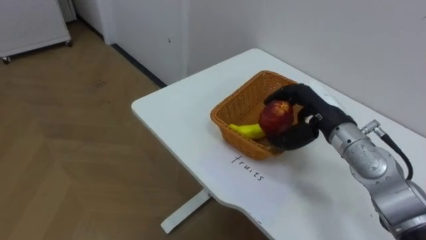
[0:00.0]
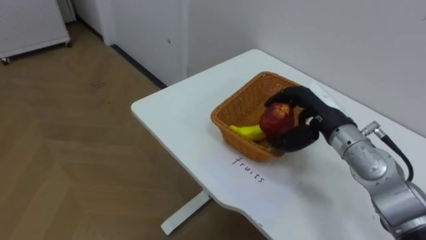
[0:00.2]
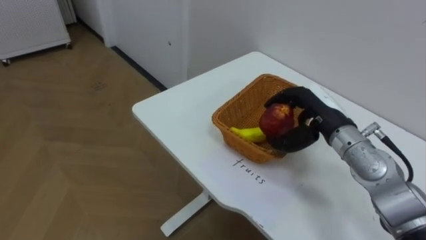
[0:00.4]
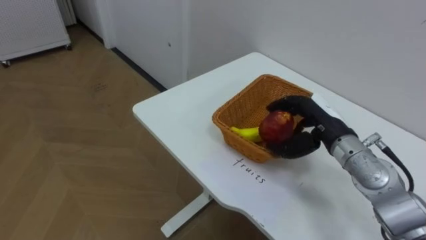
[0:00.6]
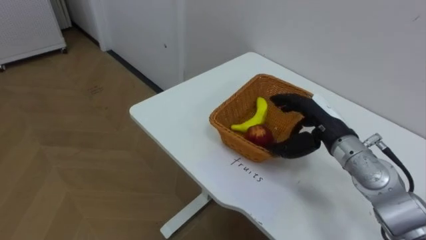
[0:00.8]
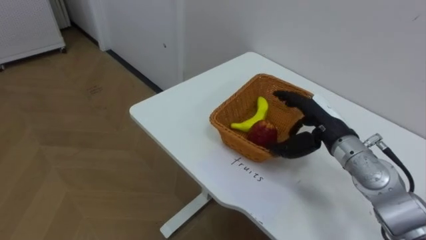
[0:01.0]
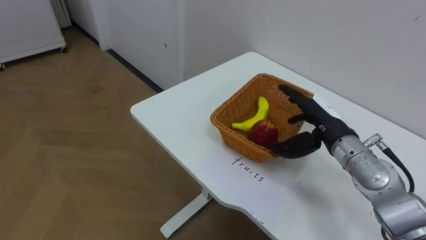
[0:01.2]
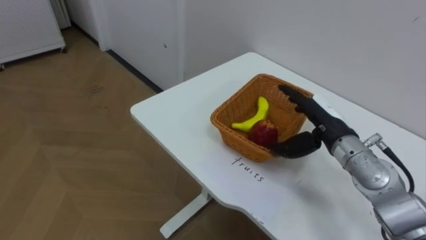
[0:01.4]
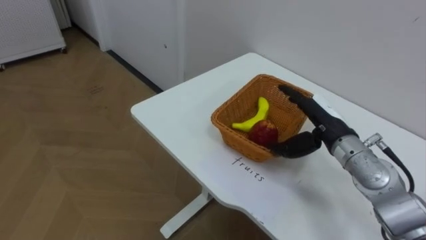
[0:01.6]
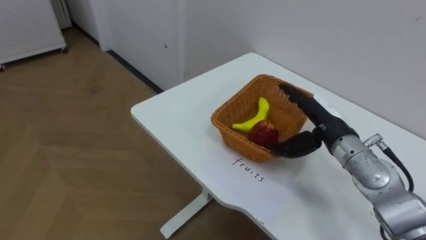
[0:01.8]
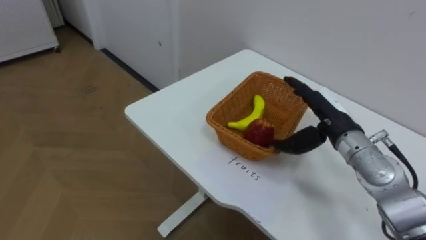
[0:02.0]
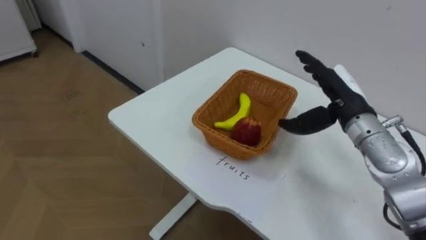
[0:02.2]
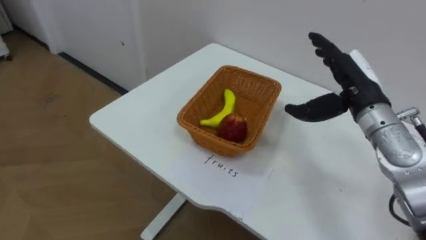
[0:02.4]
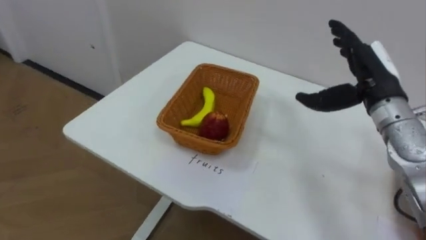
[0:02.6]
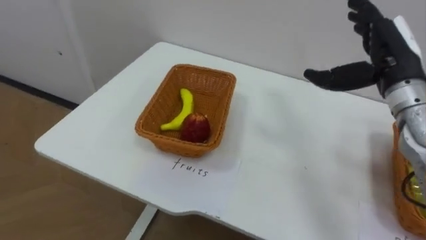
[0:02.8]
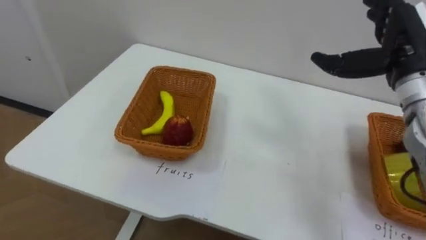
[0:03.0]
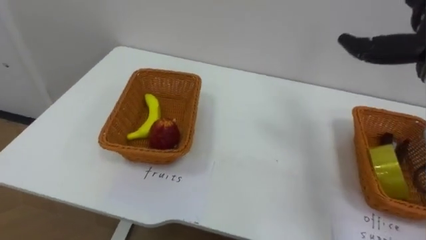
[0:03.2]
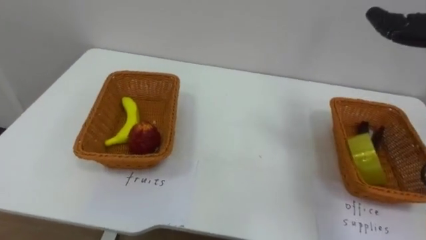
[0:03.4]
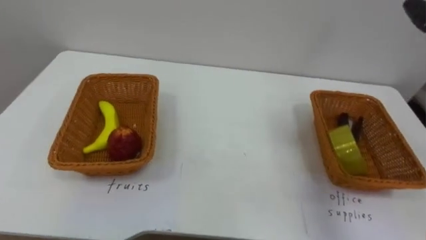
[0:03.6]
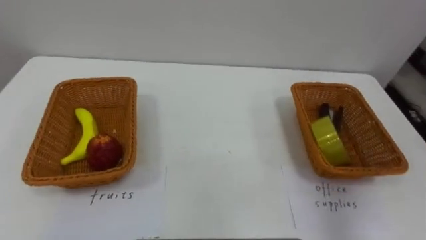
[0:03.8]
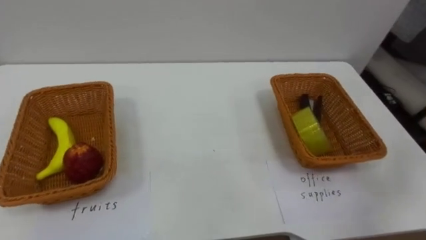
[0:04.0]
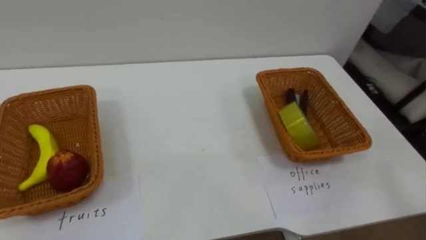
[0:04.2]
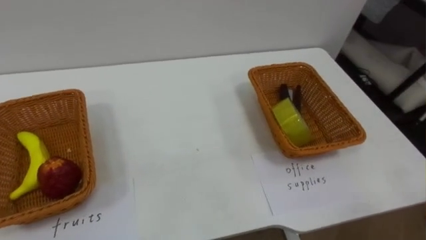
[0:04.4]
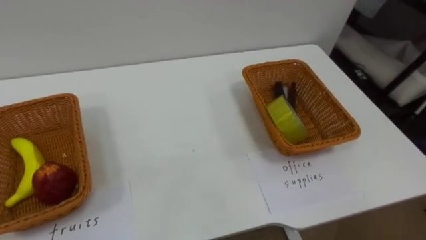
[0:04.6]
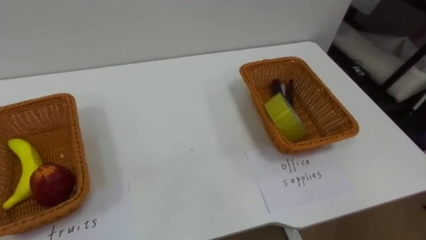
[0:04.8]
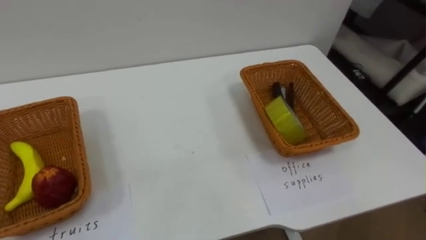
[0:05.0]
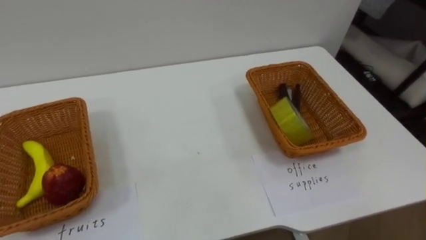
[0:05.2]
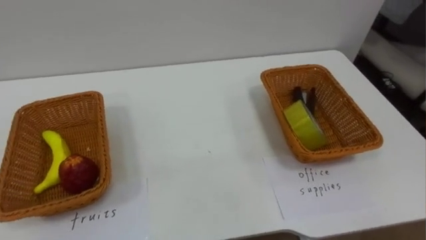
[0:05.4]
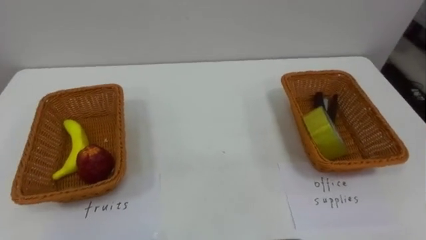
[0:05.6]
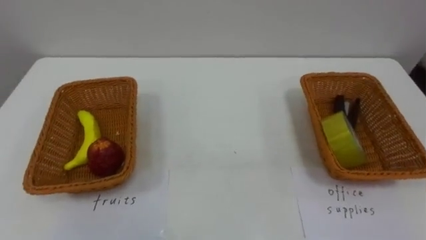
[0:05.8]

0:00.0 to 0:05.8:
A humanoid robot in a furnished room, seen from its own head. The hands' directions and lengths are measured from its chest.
Task of the whole recording: Separate the items on the table and place them into the two baskets.
0:00.0 to 0:01.4: The right hand opens its fingers.
0:01.4 to 0:02.8: The right hand travels upward and to the right by about 15 cm.

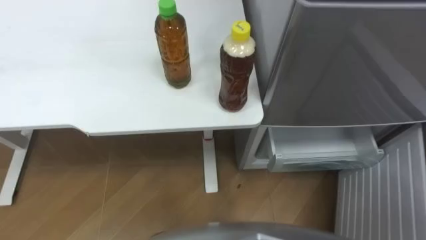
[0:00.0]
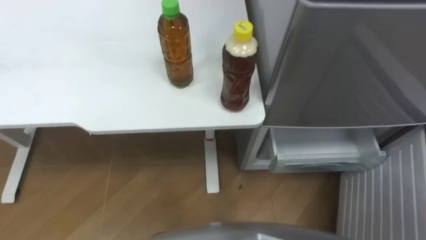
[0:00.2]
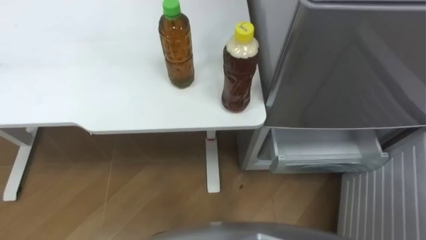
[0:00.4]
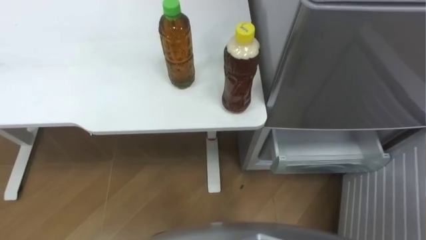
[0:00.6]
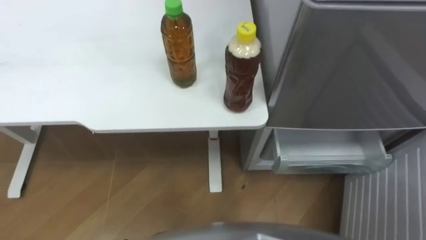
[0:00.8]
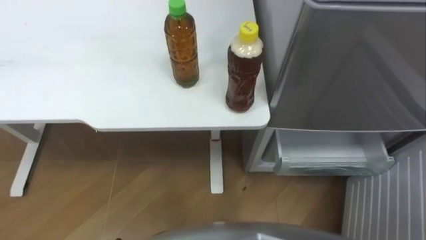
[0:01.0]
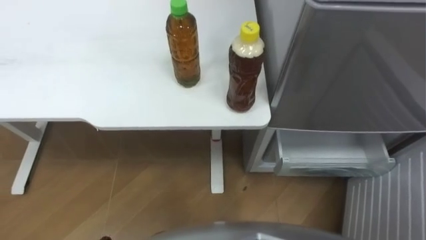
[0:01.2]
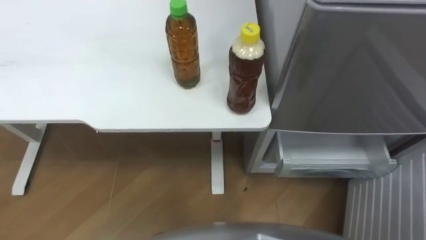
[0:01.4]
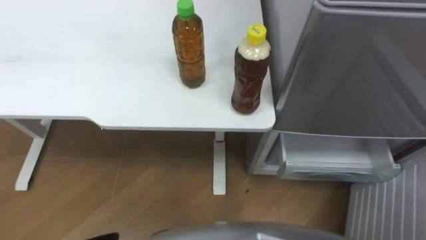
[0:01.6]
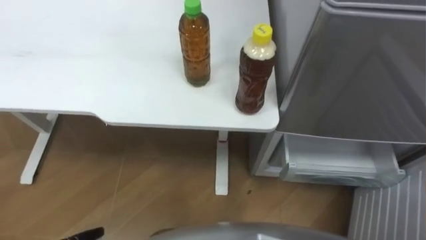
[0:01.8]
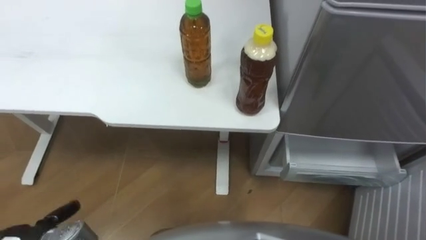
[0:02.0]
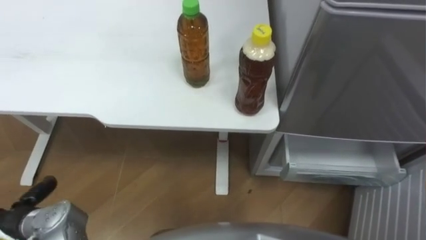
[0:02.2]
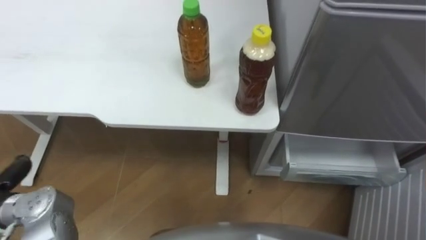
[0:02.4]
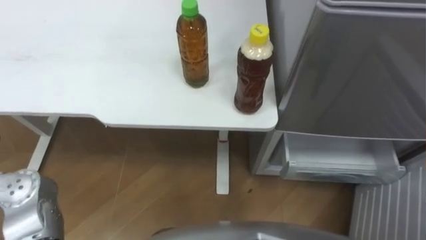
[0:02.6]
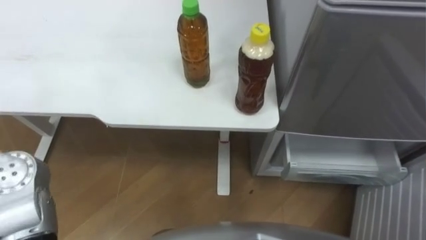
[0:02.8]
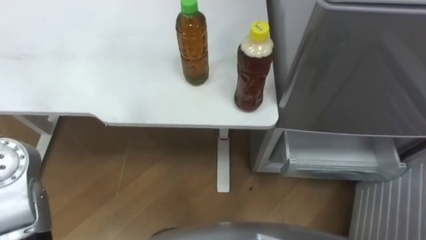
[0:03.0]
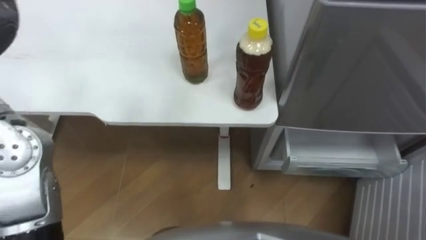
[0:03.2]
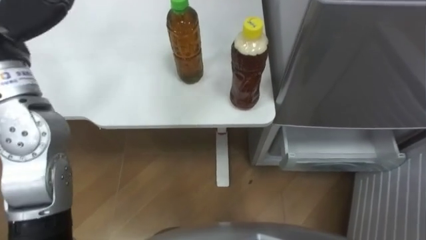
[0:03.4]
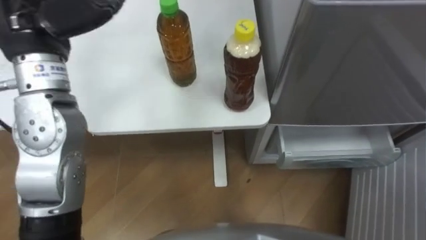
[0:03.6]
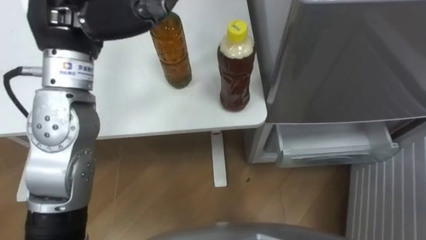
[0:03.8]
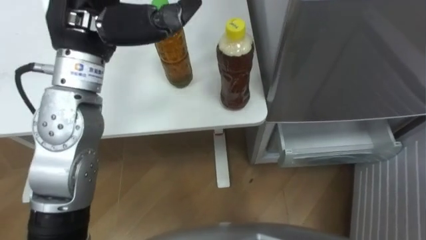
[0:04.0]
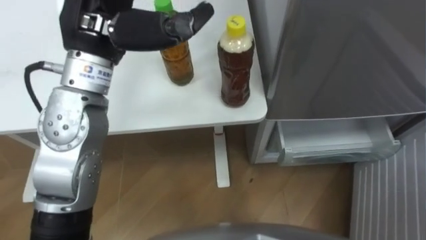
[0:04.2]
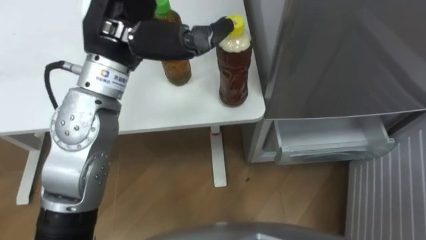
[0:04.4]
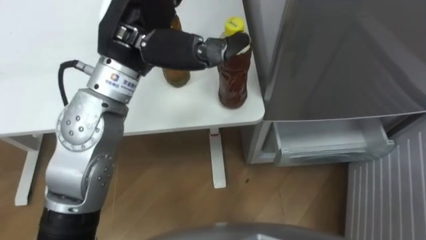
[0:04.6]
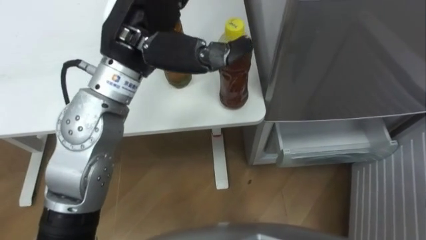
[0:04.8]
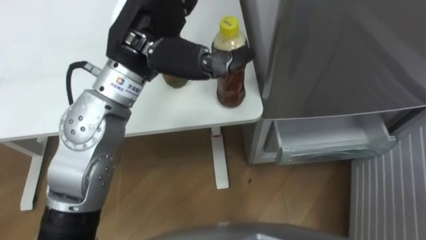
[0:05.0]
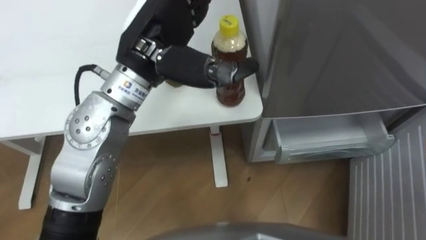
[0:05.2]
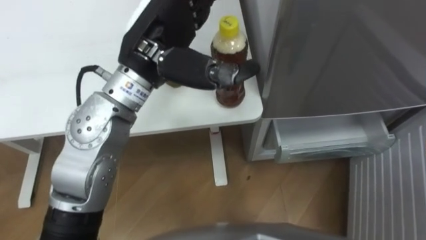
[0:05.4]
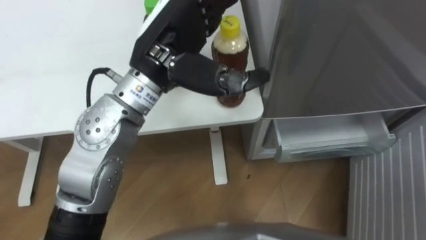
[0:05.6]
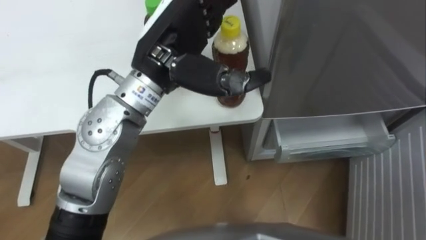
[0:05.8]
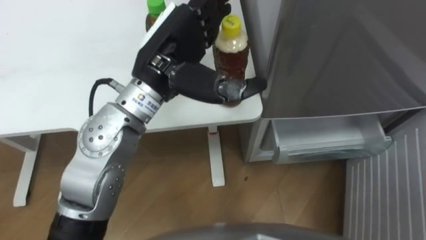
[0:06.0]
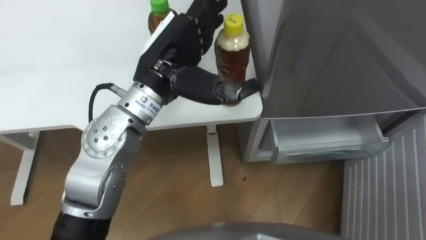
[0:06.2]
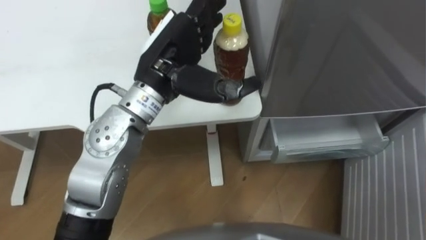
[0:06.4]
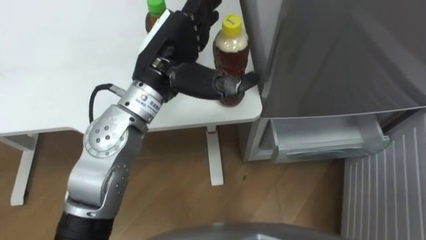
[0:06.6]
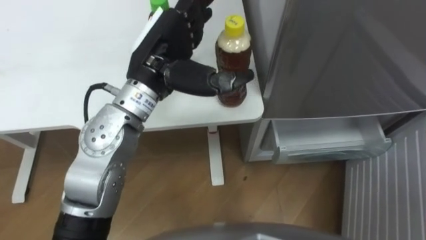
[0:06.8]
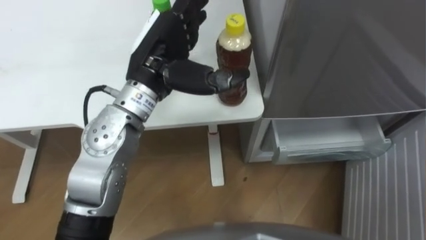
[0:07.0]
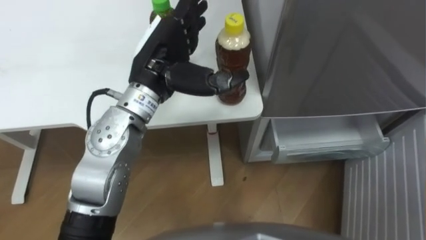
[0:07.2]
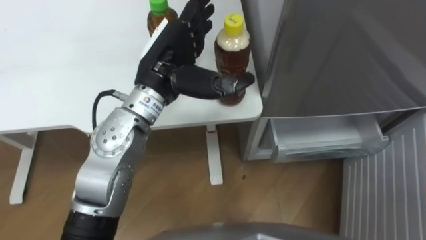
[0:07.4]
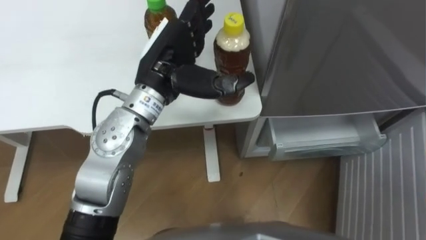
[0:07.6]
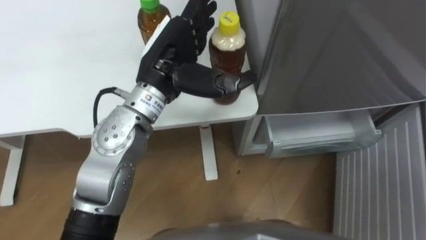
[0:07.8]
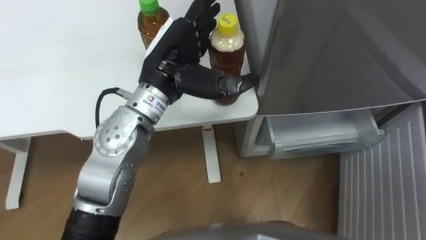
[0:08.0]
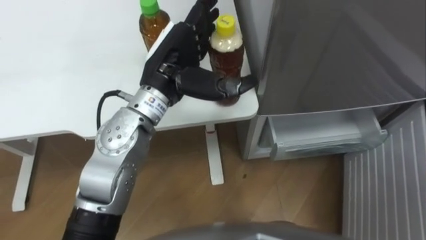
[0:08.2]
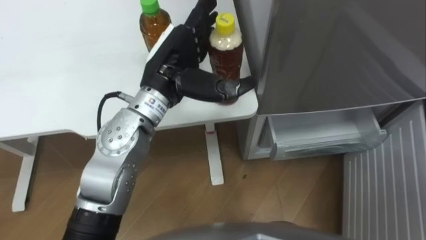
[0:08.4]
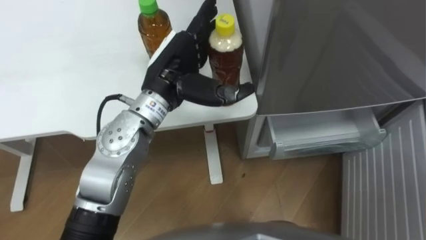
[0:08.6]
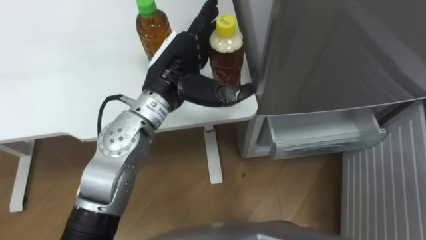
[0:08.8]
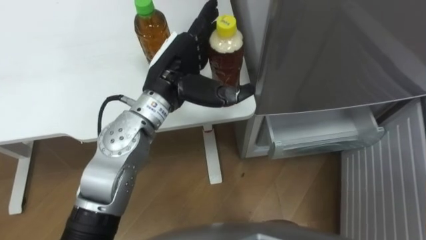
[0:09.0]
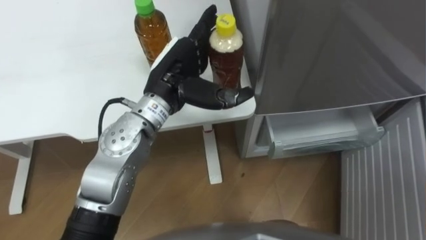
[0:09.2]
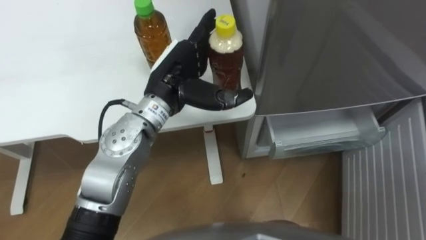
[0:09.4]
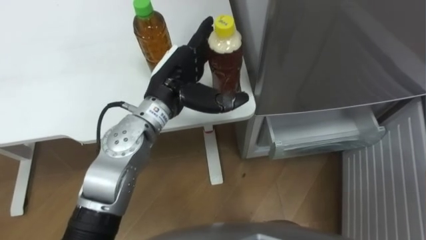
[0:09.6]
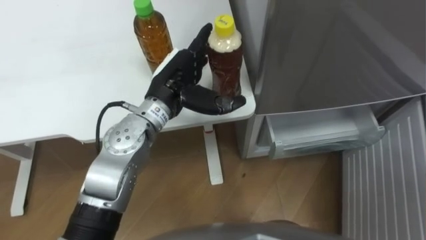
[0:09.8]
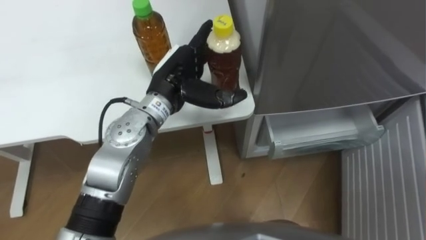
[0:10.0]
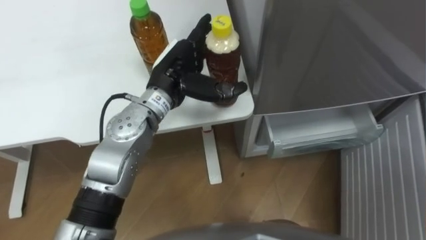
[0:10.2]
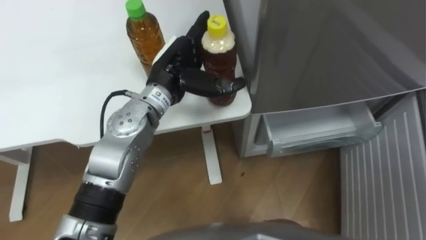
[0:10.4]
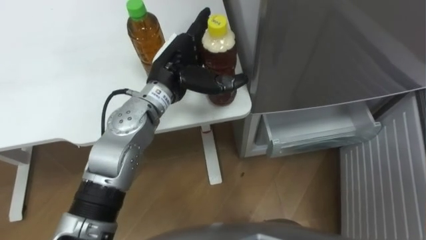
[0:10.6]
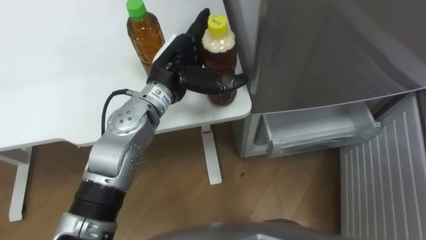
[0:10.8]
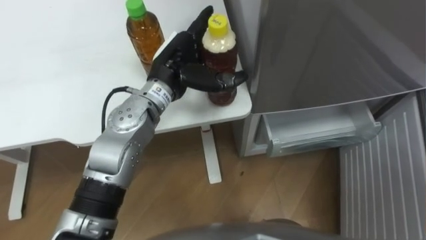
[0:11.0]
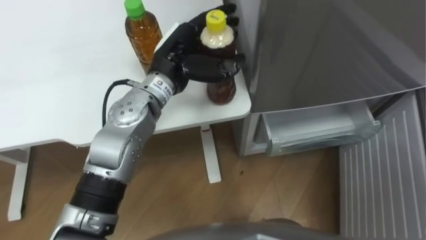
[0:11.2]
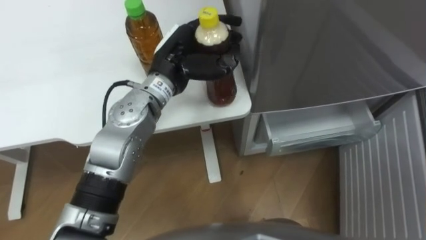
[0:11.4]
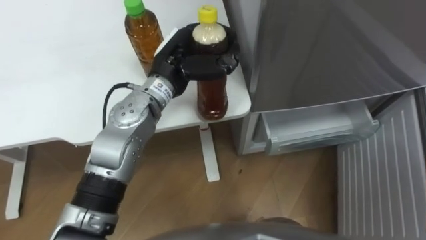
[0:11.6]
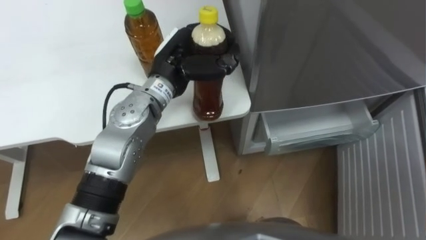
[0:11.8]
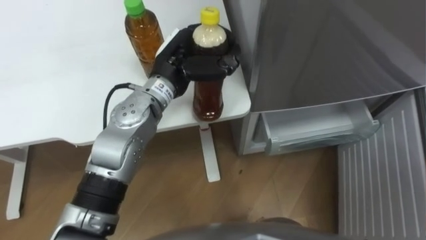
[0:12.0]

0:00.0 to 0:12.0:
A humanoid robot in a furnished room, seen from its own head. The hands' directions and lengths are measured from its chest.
Task of the whole recording: Place the drink on the table on the bottom shelf of the refrigerator, then close the drawer and the refrigerator door.
0:04.4 to 0:06.0: The left hand goes some 5 cm to the right.
0:10.4 to 0:12.0: The left hand closes.
